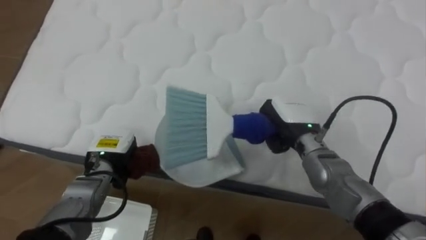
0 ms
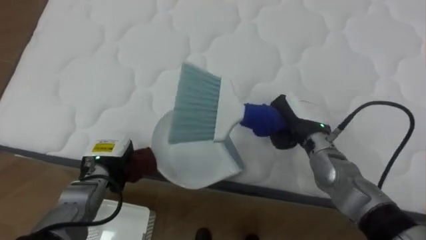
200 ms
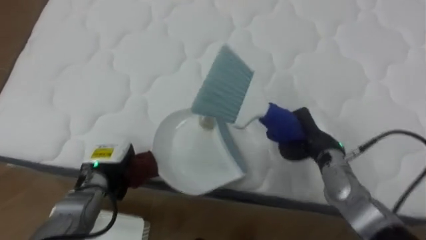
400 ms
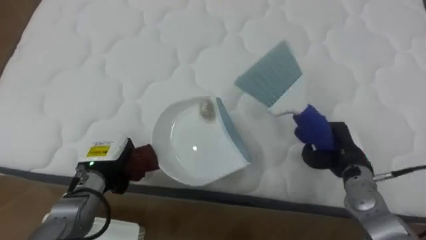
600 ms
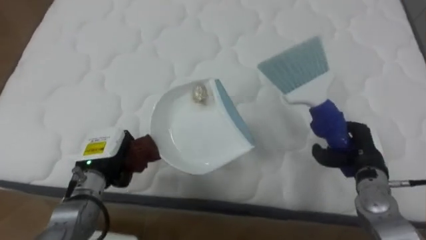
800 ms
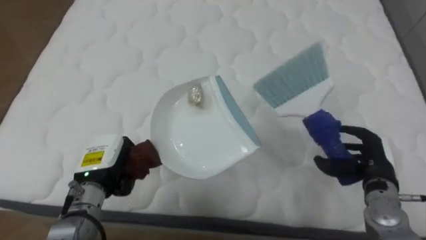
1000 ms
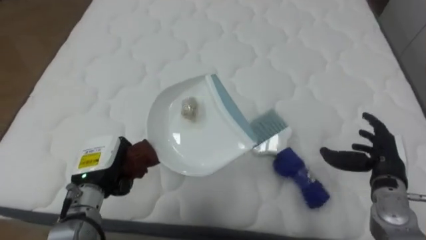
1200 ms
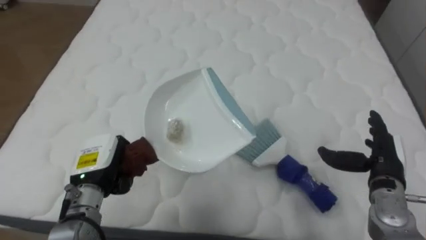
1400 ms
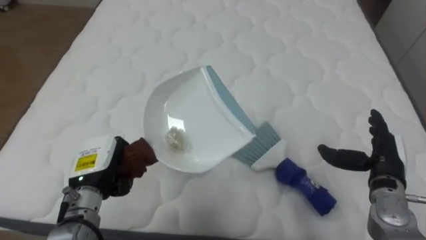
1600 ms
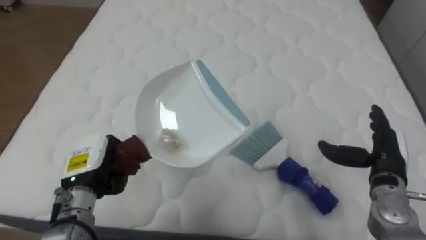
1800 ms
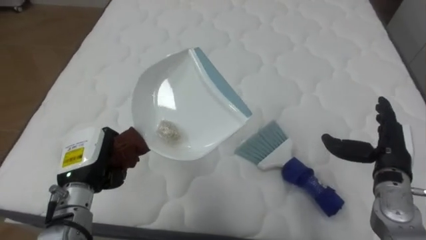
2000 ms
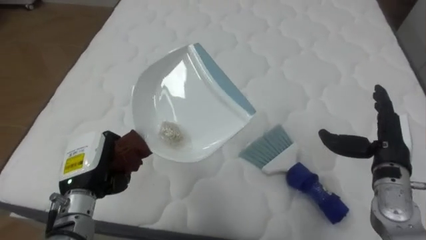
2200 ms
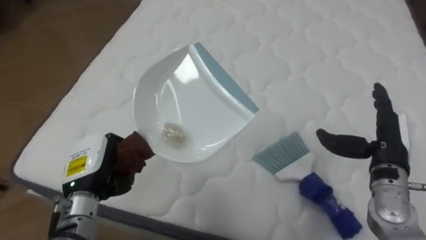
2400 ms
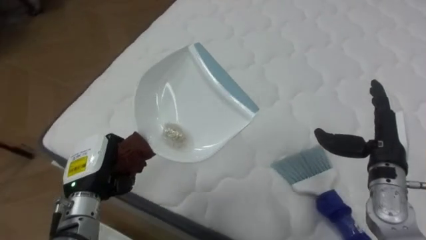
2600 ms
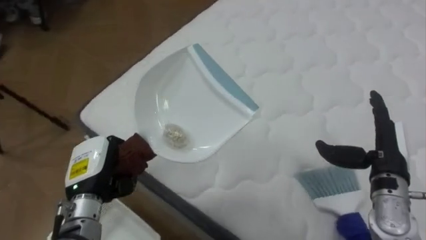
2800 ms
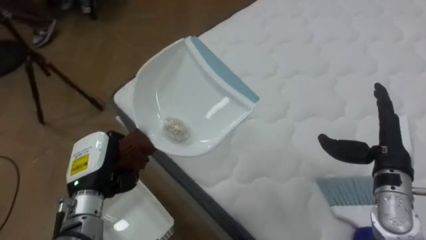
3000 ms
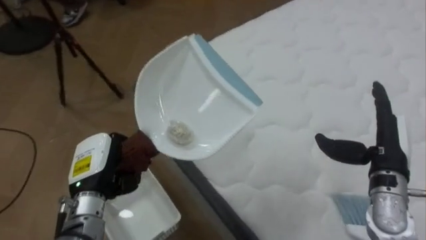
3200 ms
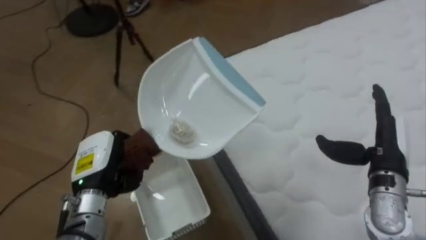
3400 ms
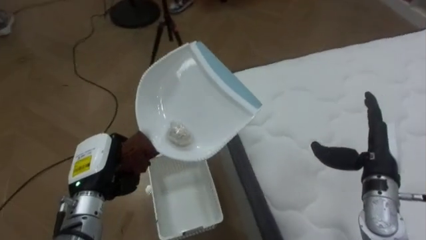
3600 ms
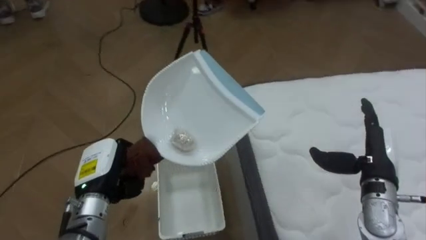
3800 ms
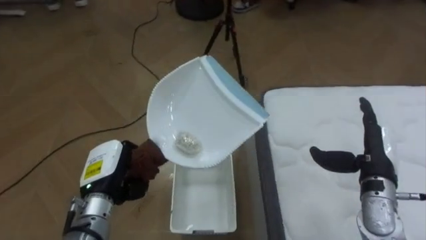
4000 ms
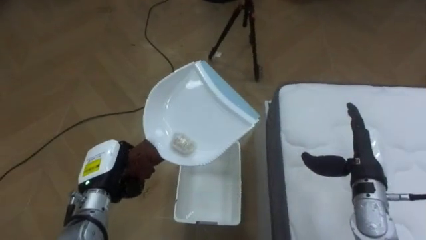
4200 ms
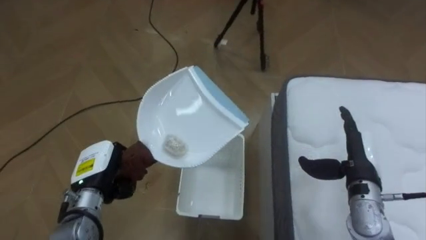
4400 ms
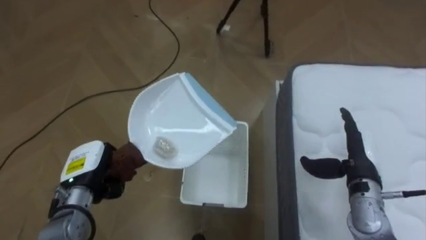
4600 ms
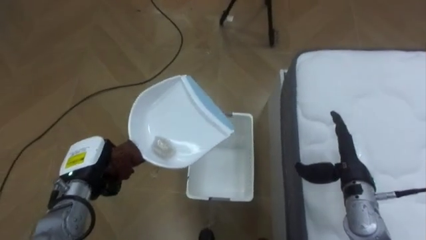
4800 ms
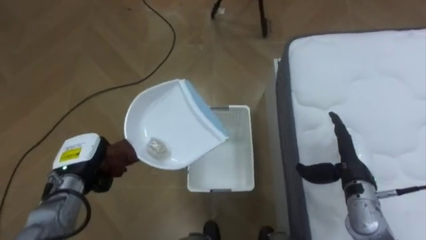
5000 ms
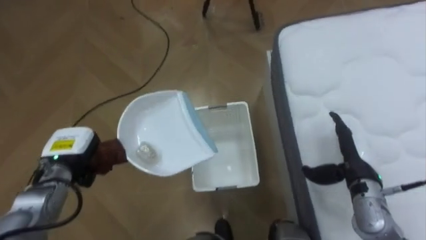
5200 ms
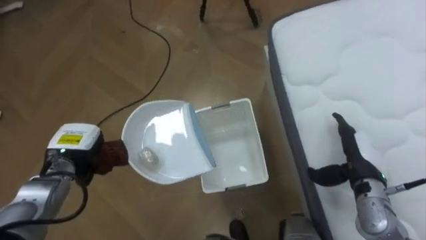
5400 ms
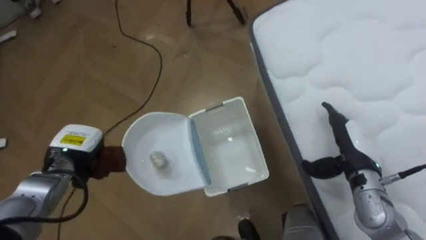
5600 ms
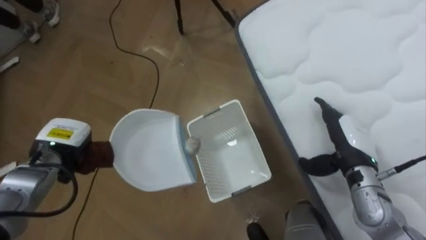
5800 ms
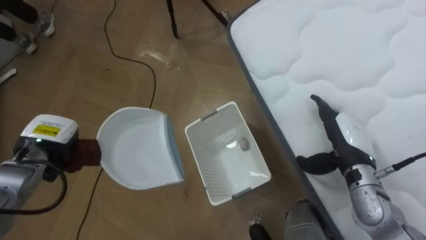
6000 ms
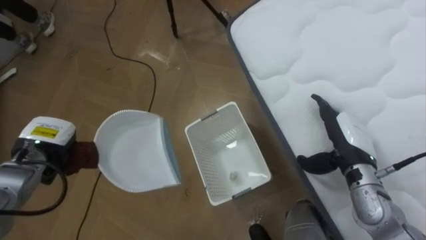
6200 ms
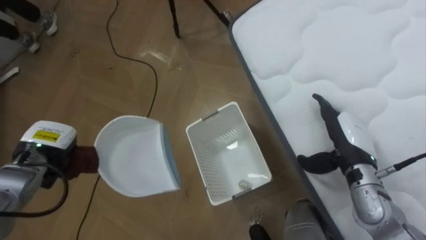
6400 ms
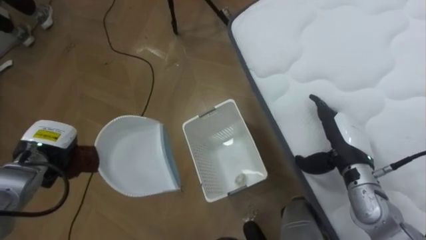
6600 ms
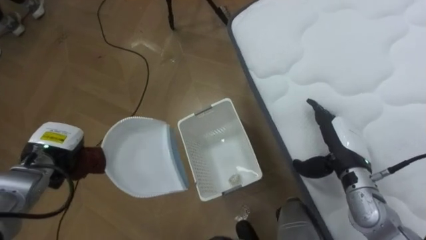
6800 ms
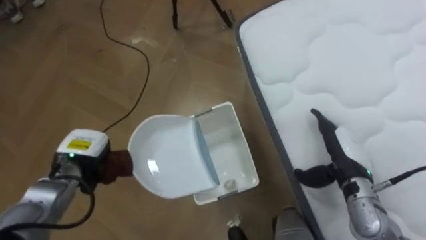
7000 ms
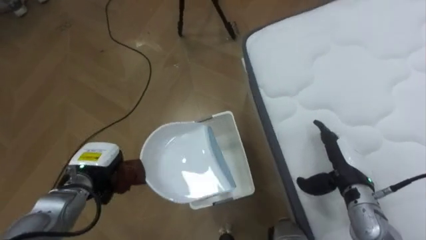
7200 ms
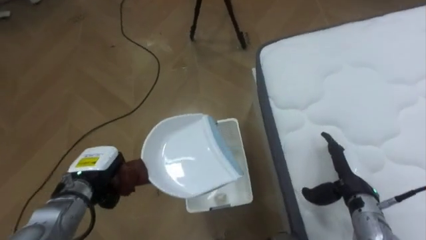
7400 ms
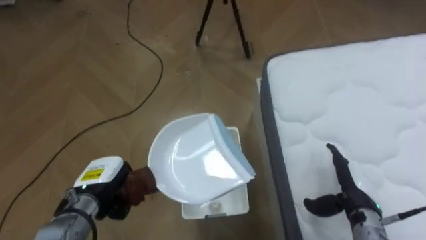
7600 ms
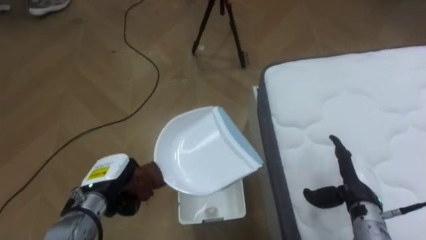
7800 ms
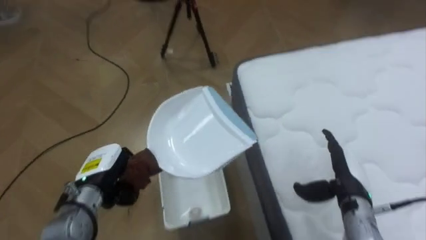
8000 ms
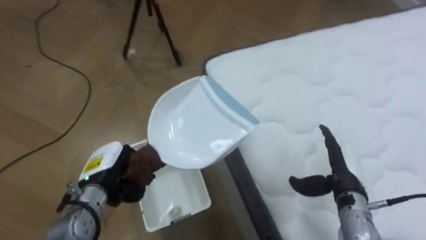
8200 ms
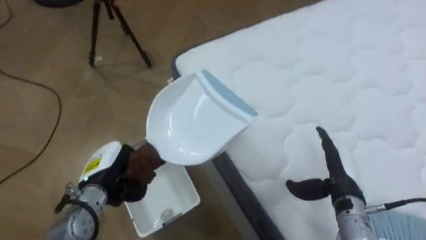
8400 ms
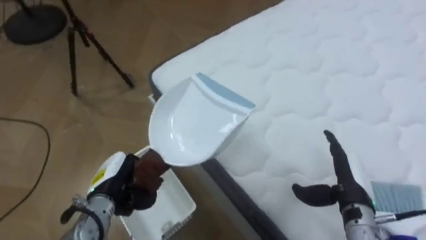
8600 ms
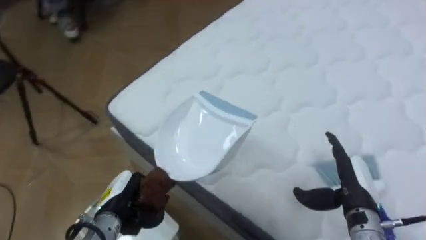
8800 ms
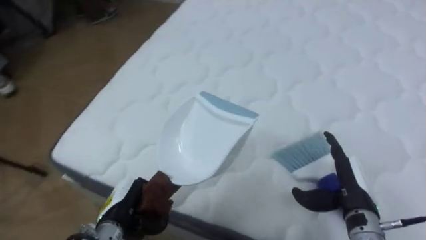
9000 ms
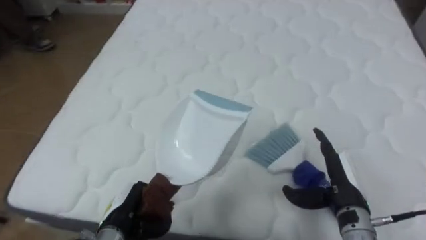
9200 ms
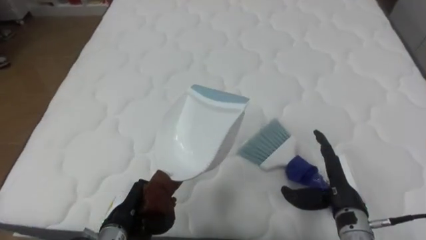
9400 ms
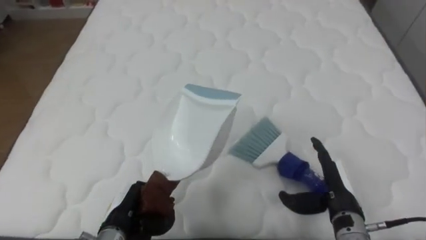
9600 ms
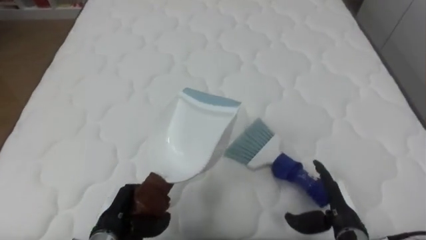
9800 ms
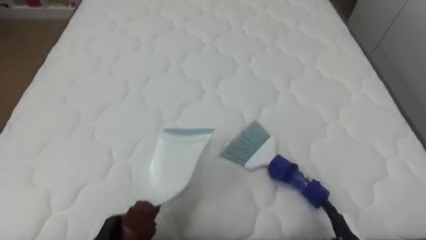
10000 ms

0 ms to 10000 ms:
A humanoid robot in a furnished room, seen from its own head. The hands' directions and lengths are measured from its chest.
Task of the whole recording: Pick up the brush on your right and the dustpan on your left. Use the brush to sweep the crumpled paper on the bed into the dustpan, then turn left and empty it into the basket.
0 ms to 1400 ms: The right hand moves to the right and backward, about 20 cm, and opens. The left hand changes place by about 5 cm.
1400 ms to 2800 ms: The robot rotates approximately 25 degrees to its left.
2800 ms to 4200 ms: The robot faces some 60 degrees further to its left.
4200 ms to 5800 ms: The left hand is displaced to the left and forward by approximately 10 cm.
5800 ms to 7200 ms: The left hand shifts about 5 cm to the right.
7200 ms to 8600 ms: The robot's body swings about 35 degrees to its right. The left hand moves roughly 5 cm.
8600 ms to 10000 ms: The robot turns to its right by about 55 degrees. The right hand travels downward and backward by roughly 10 cm, while the left hand travels backward and downward by roughly 10 cm, and opens its fingers.

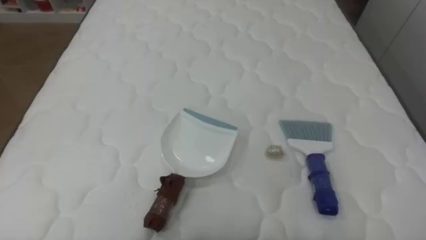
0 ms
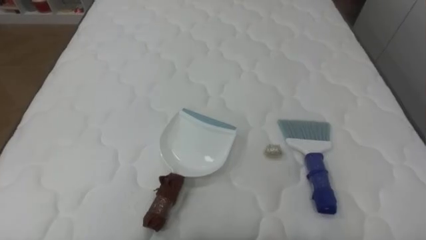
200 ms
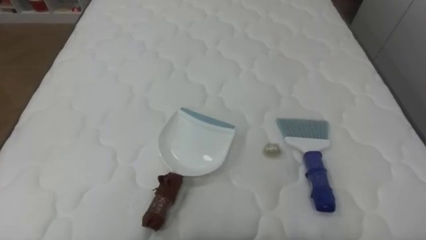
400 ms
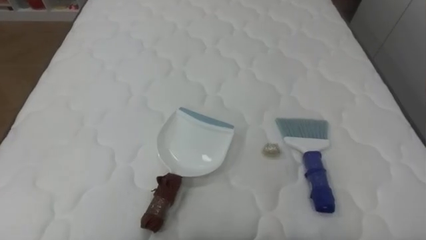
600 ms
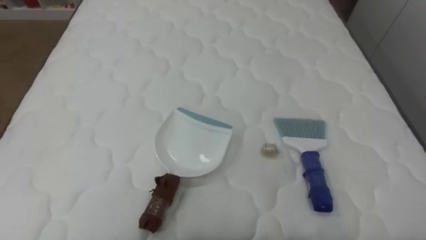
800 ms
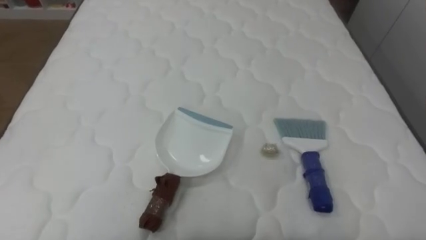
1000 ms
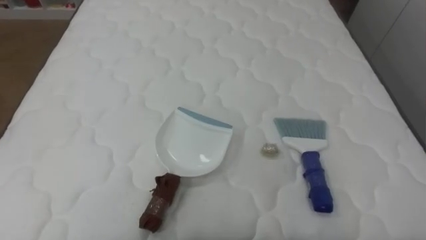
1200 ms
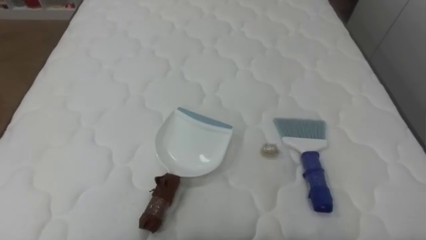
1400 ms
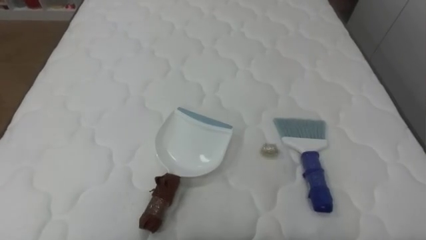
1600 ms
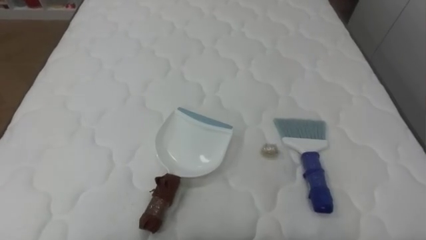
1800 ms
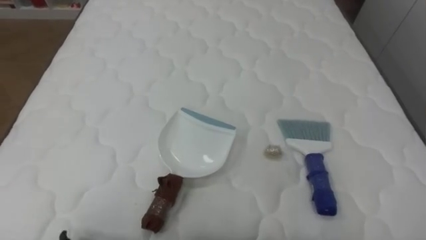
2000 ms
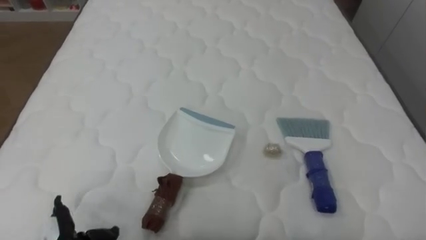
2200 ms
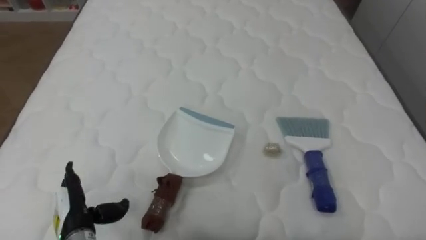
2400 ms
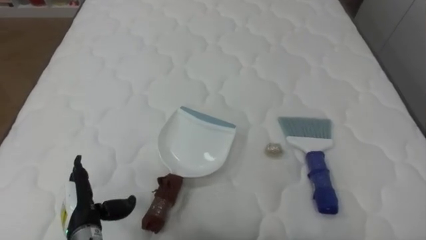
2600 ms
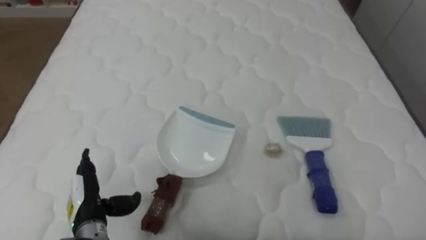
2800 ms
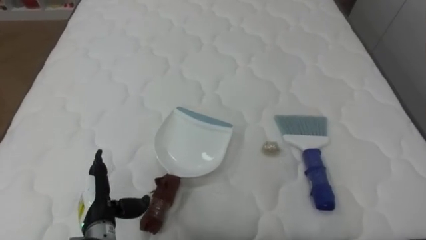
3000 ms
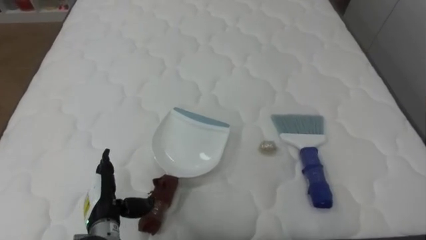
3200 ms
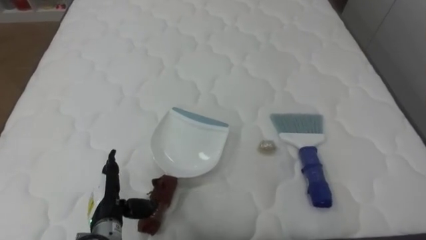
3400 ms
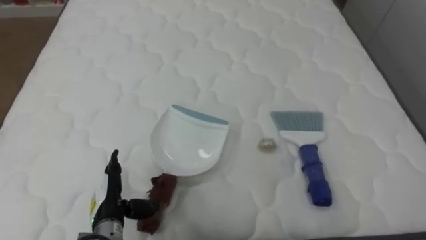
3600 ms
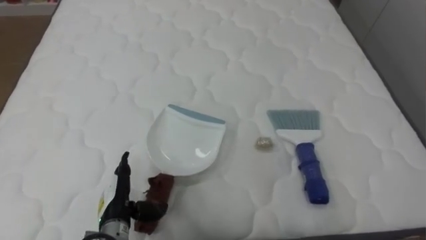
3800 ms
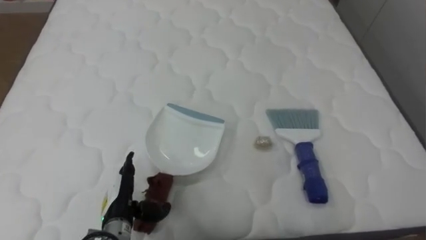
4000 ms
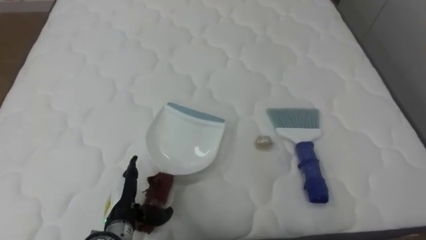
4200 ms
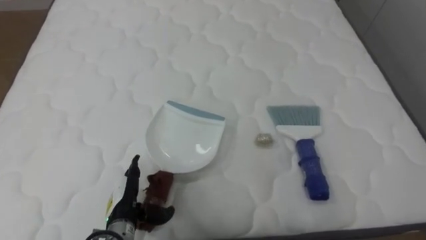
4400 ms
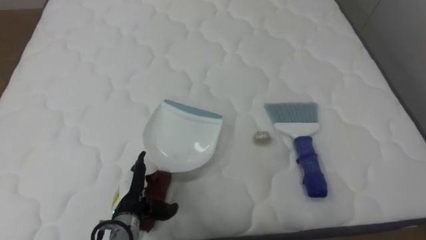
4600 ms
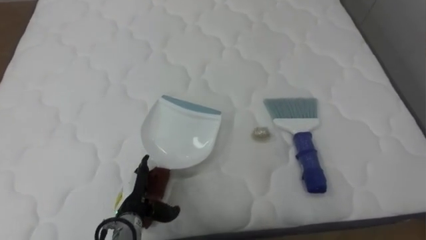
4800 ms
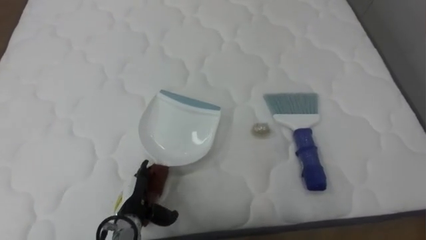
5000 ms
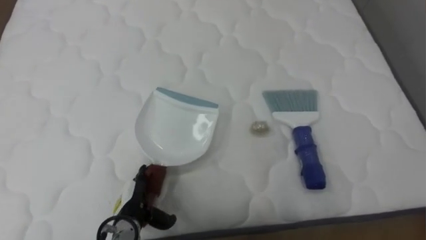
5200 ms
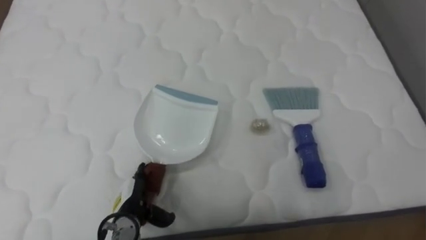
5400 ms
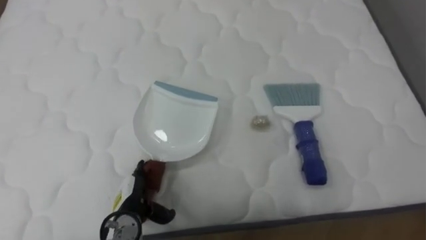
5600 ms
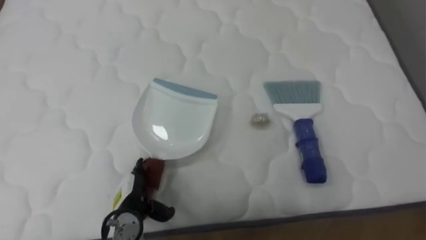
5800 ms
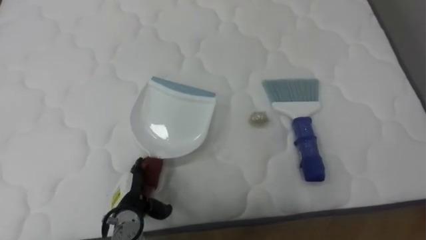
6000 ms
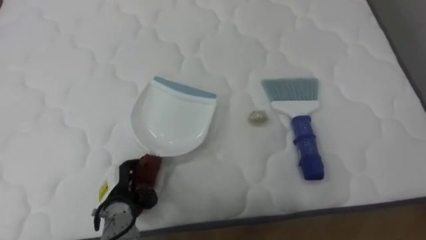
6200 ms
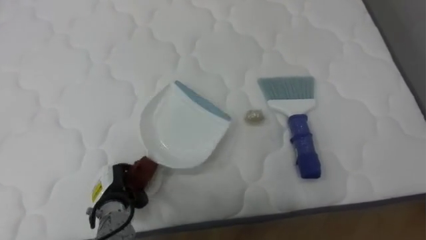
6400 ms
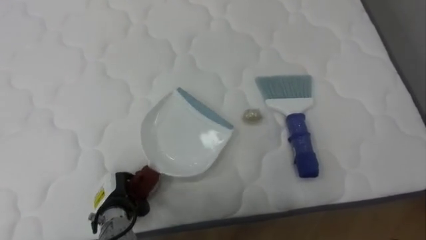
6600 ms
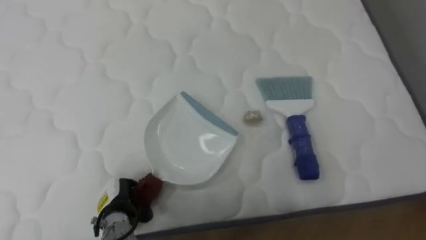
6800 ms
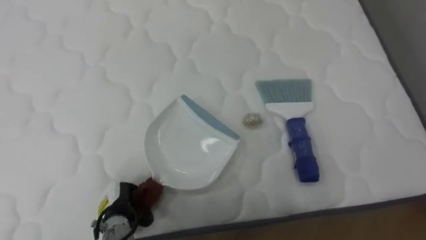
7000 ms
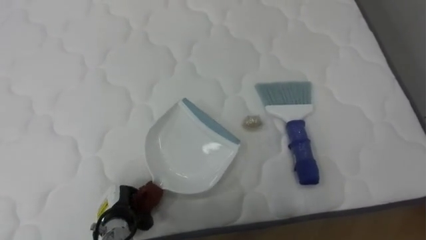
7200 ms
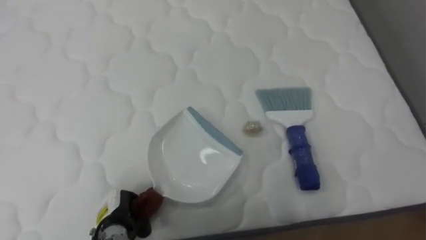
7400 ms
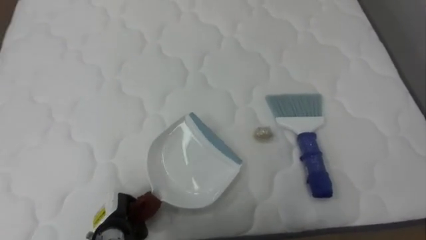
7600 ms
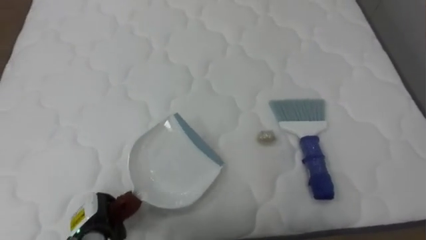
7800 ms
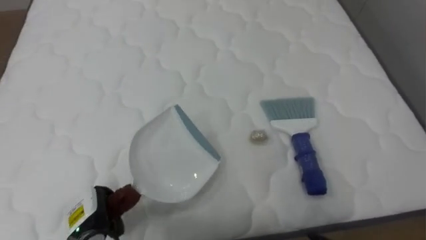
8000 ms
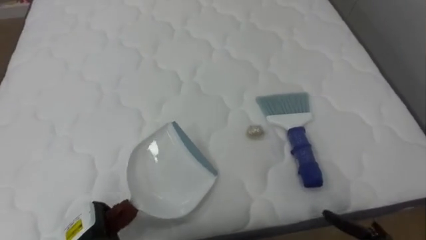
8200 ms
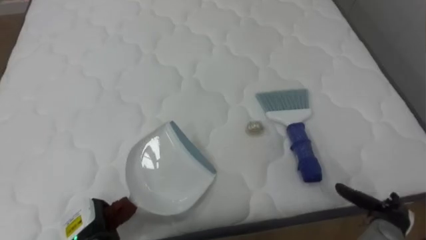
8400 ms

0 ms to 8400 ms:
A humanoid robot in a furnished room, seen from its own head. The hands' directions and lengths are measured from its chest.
Task of the whole recording: Pick up the brush on your right and the dustpan on your left. Use the brush to sweep the crumpled paper on the bed into the dustpan, then turn left and empty it into the basket.
2800 ms to 4200 ms: The left hand moves to the right, some 5 cm.
5600 ms to 7000 ms: The left hand closes up.
7000 ms to 8400 ms: The left hand travels to the left by approximately 5 cm.
